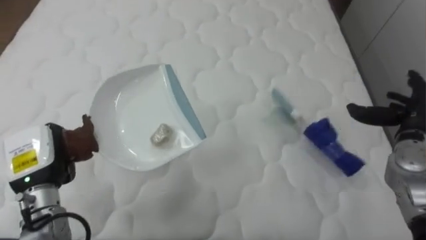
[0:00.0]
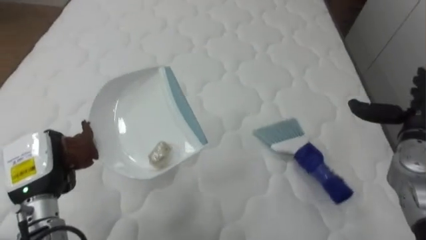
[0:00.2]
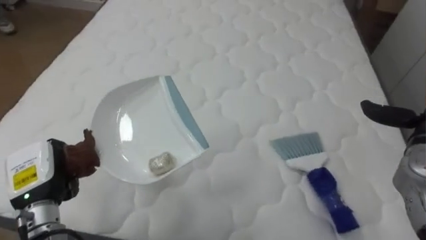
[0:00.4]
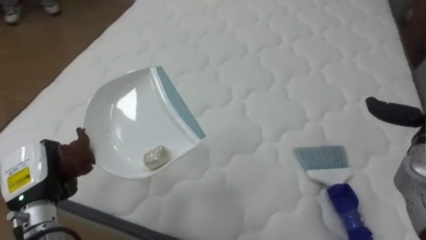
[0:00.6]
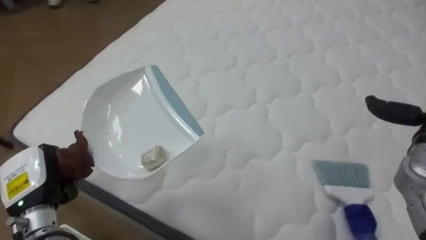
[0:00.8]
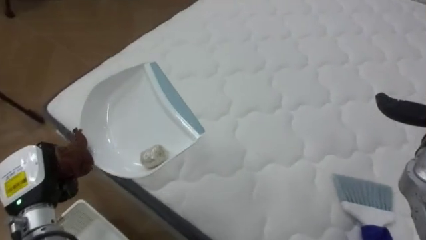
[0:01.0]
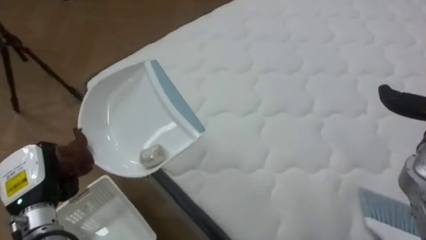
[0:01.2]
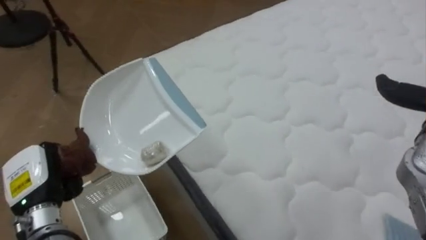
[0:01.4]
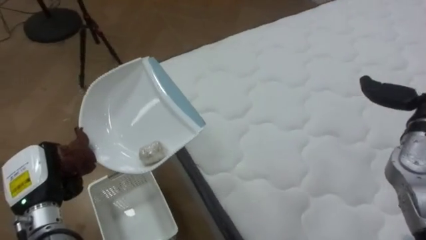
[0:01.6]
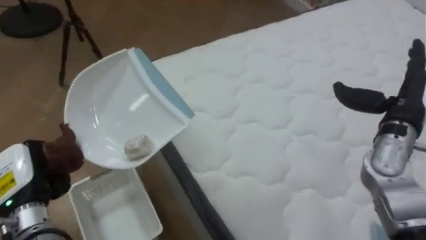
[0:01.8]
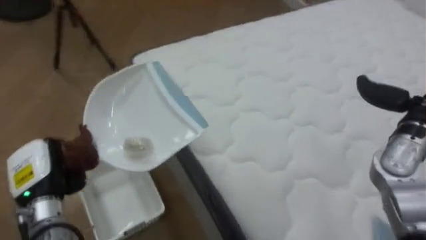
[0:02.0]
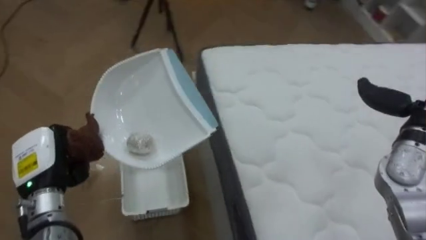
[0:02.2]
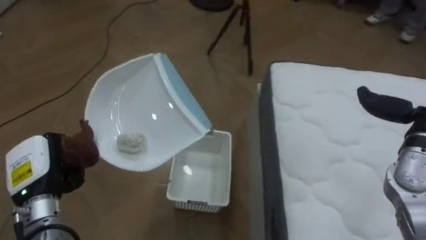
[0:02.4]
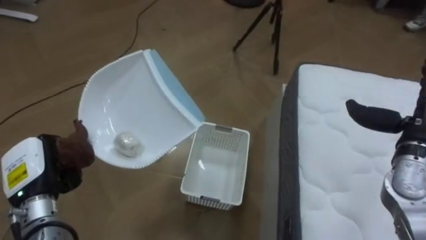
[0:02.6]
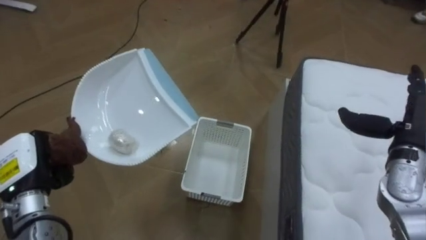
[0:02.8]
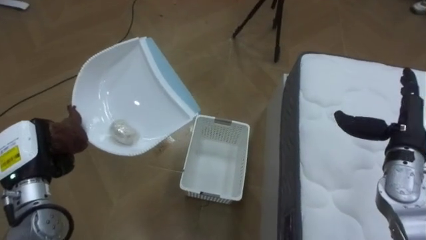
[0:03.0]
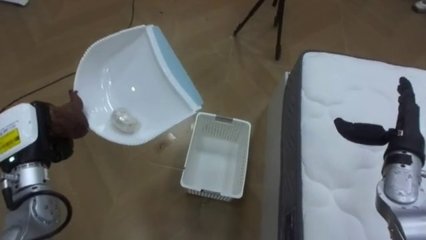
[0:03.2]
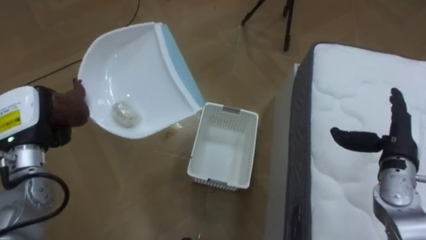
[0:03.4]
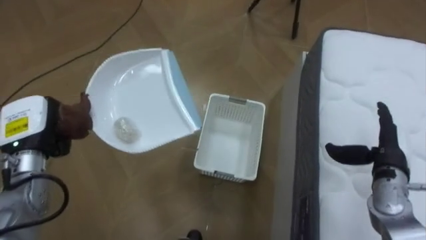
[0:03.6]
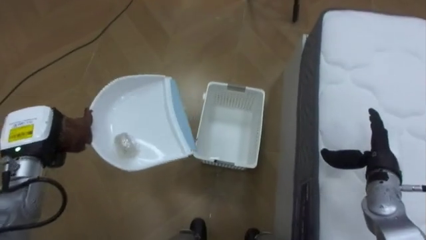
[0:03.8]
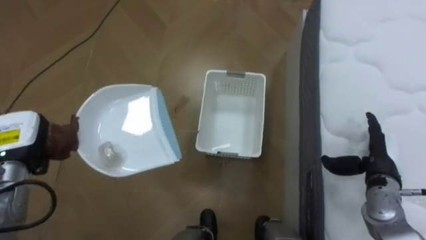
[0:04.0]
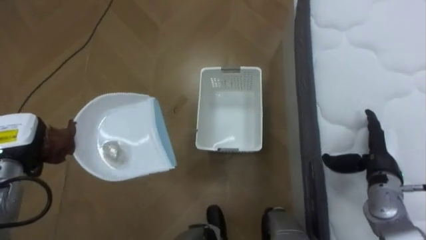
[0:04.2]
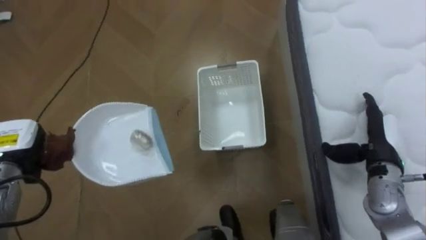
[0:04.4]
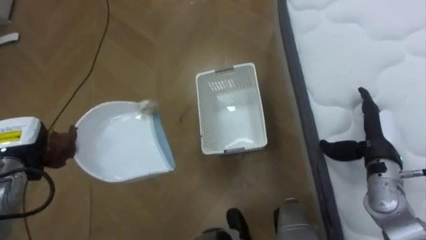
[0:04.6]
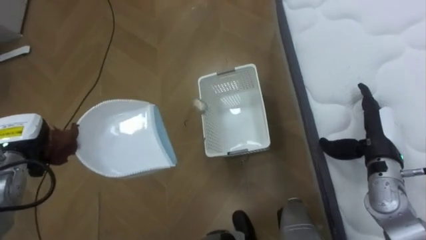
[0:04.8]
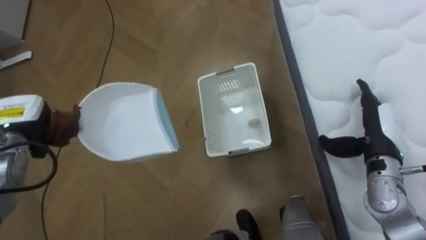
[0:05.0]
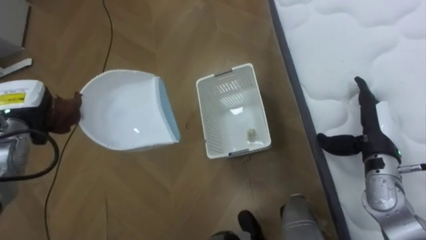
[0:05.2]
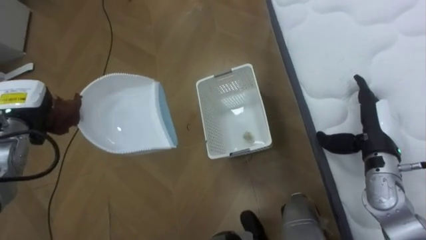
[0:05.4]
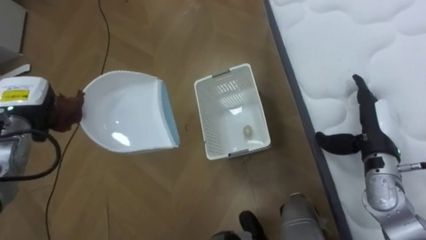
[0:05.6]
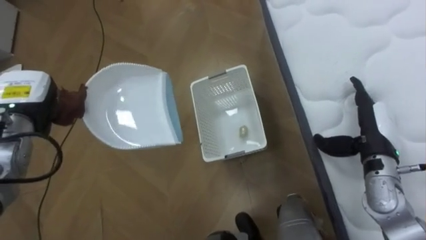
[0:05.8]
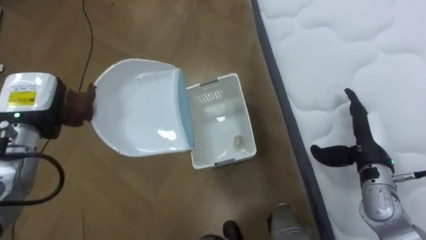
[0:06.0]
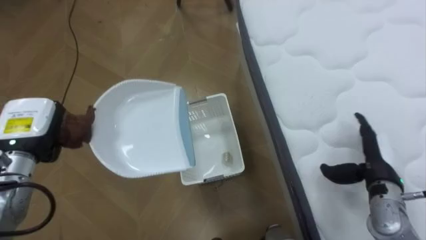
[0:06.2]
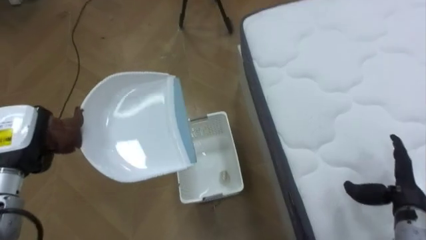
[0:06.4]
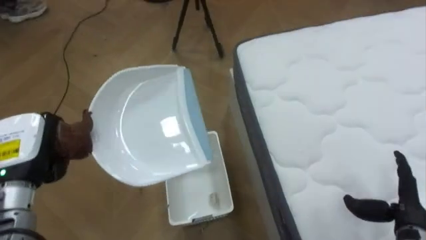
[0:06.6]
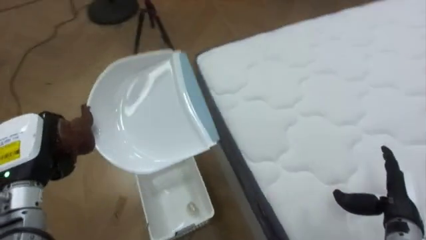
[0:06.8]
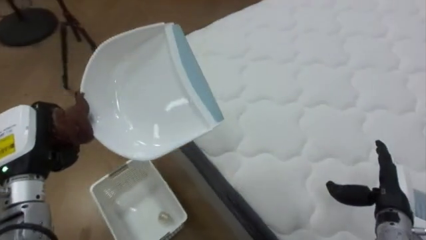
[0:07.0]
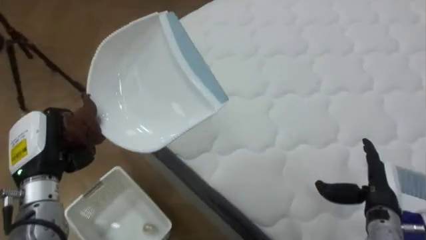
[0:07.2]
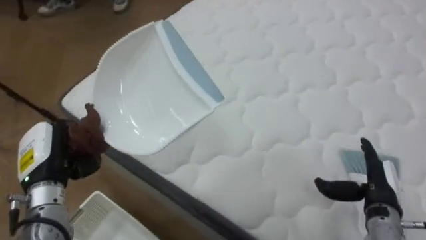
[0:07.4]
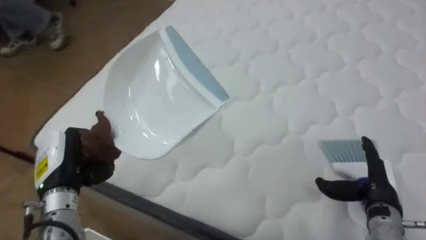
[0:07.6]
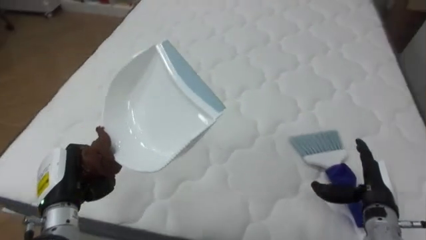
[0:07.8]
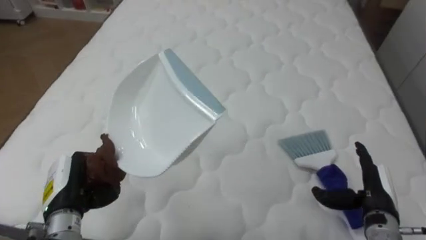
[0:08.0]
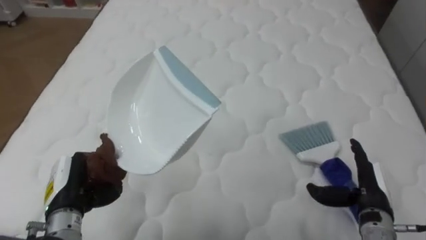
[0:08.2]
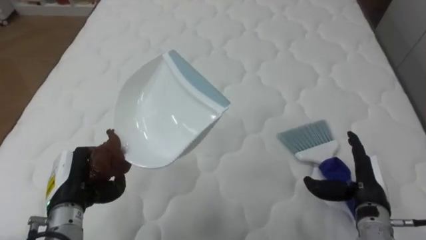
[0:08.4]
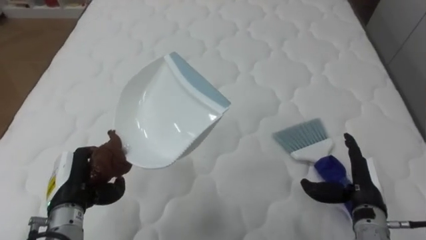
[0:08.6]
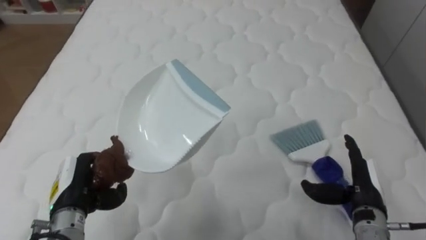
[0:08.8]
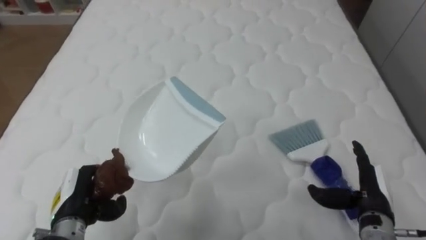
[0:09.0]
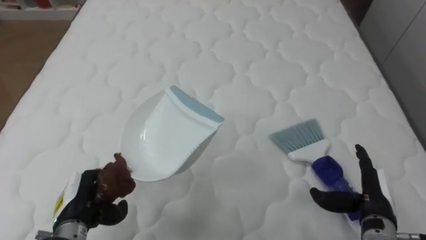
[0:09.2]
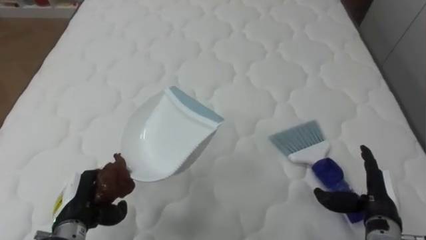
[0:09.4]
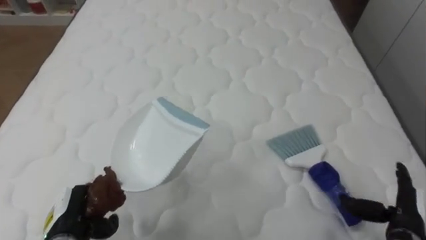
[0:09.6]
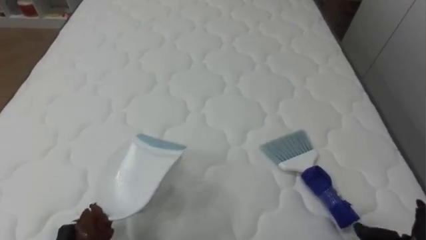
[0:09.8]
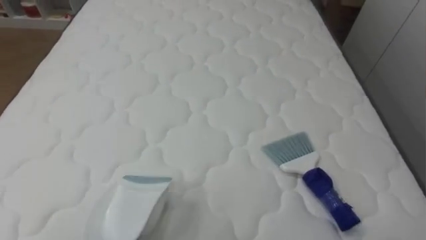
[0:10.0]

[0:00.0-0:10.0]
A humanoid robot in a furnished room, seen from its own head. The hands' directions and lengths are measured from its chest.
Task of the whole recording: Pick up the brush on your right and the dustpan on your left. Use the brush to sweep the crumpled paper on the bed into the dustpan, then turn left and empty it into the basket.
0:00.0 to 0:01.4: The robot faces approximately 50 degrees further to its left.
0:01.4 to 0:02.8: The robot's body swings roughly 50 degrees to its left.
0:02.8 to 0:04.2: The left hand moves forward, about 5 cm. Meanwhile the right hand goes approximately 10 cm downward.
0:04.2 to 0:05.8: The left hand travels forward and upward by some 10 cm. The right hand moves approximately 5 cm.
0:05.8 to 0:07.2: The robot's body swings some 60 degrees to its right. The right hand moves backward and downward, some 10 cm. The left hand shifts roughly 10 cm backward.
0:07.2 to 0:08.6: The robot's body swings approximately 35 degrees to its right. The left hand travels downward by roughly 5 cm.

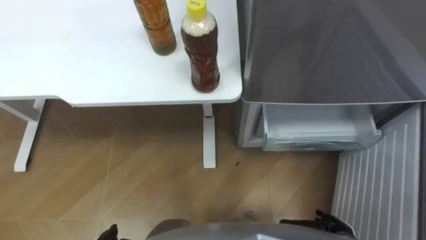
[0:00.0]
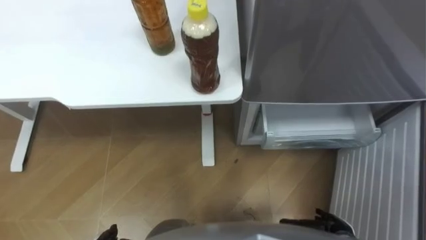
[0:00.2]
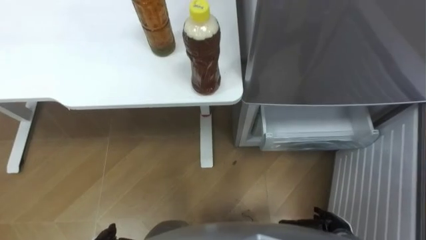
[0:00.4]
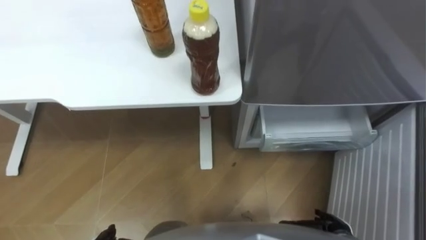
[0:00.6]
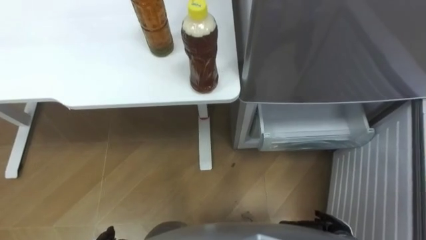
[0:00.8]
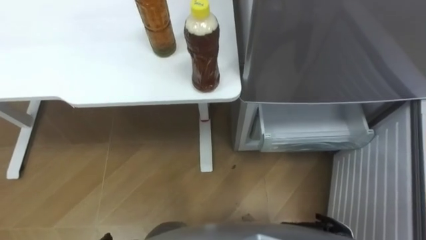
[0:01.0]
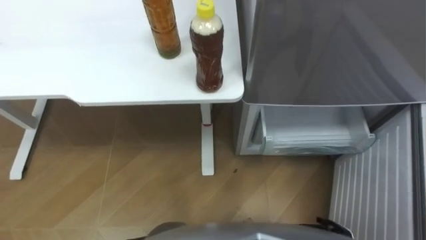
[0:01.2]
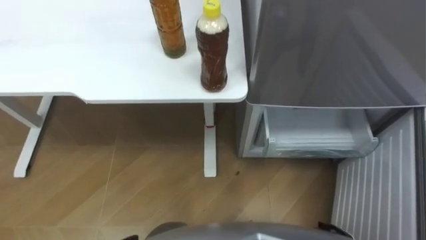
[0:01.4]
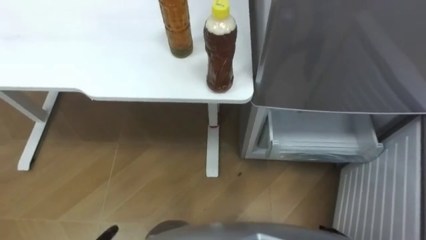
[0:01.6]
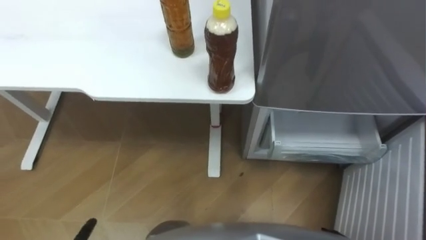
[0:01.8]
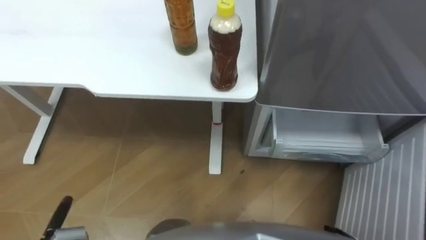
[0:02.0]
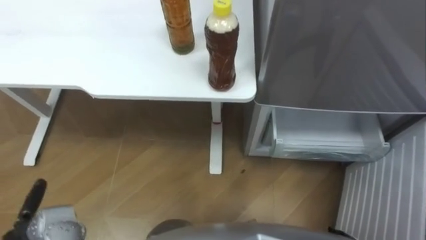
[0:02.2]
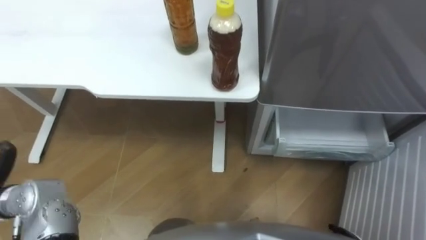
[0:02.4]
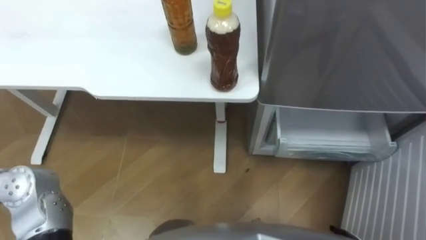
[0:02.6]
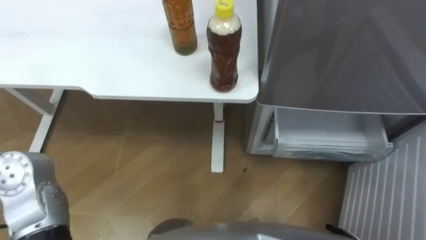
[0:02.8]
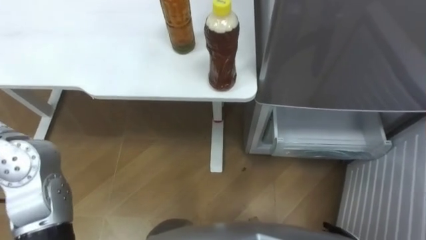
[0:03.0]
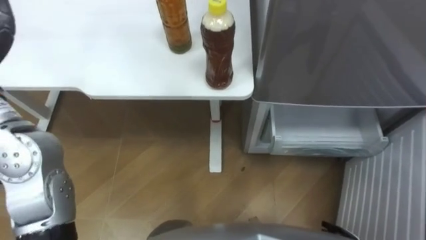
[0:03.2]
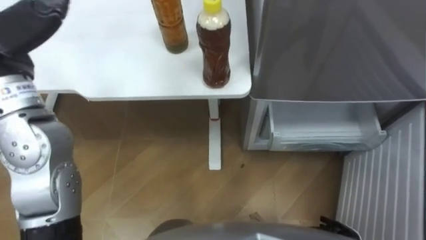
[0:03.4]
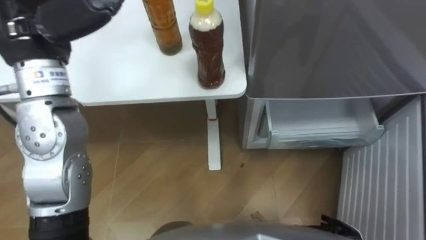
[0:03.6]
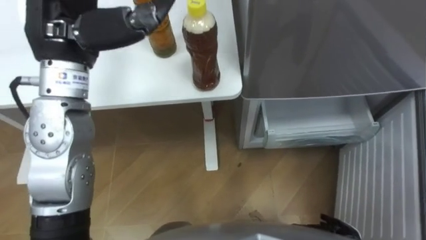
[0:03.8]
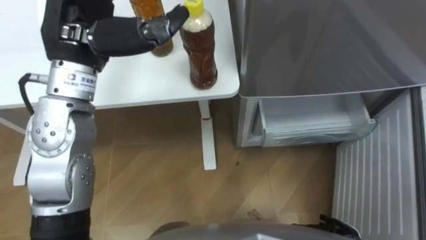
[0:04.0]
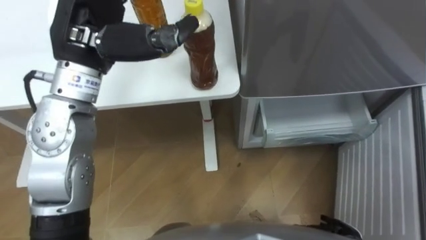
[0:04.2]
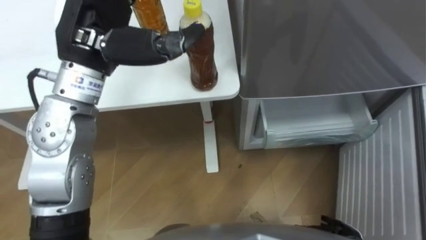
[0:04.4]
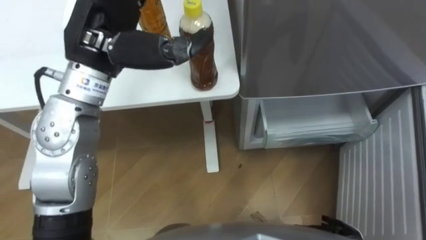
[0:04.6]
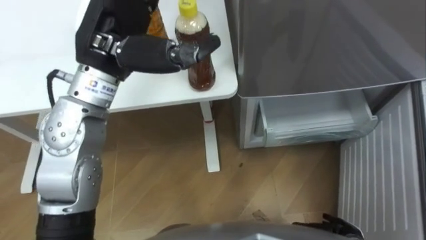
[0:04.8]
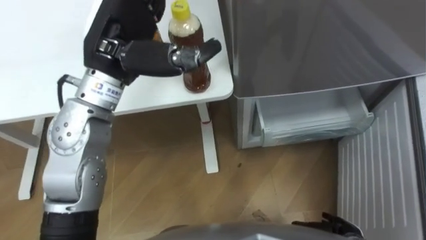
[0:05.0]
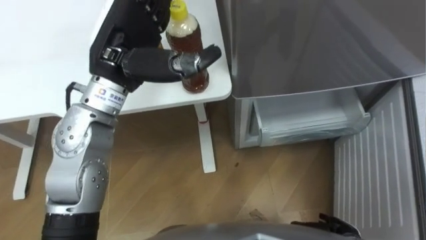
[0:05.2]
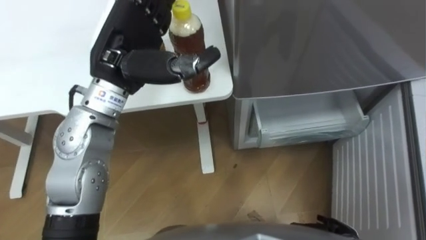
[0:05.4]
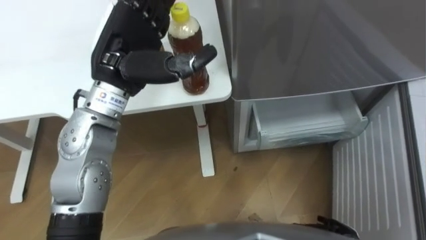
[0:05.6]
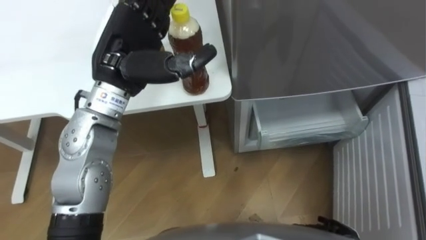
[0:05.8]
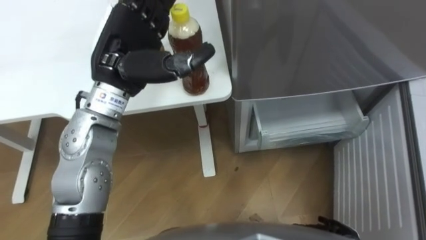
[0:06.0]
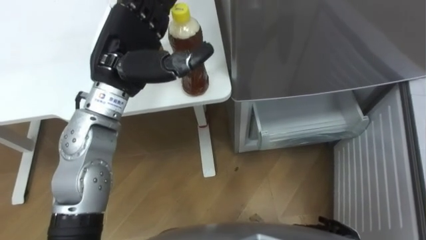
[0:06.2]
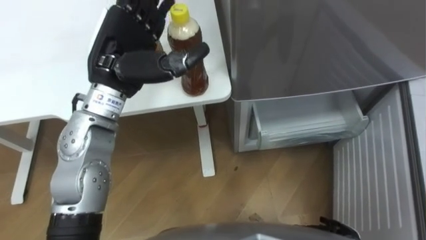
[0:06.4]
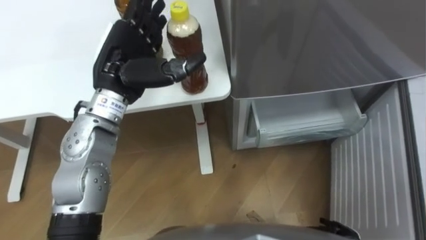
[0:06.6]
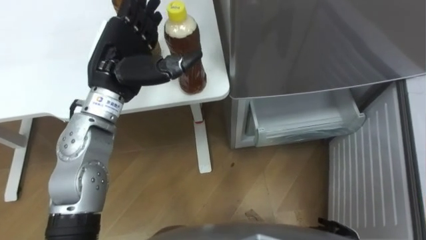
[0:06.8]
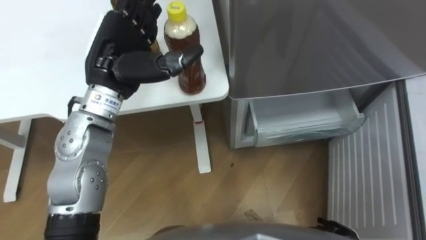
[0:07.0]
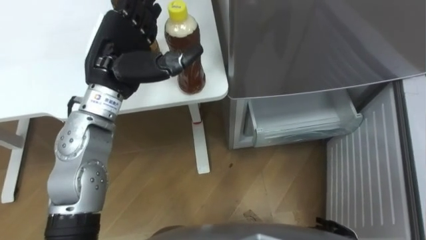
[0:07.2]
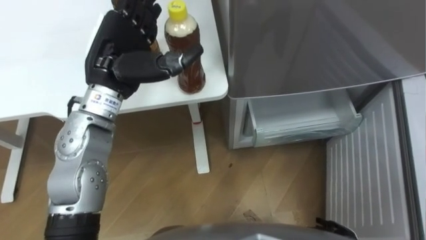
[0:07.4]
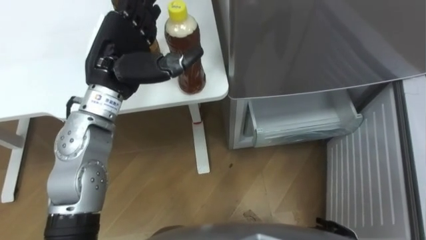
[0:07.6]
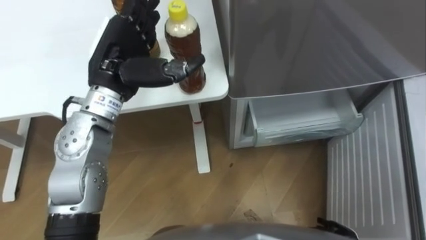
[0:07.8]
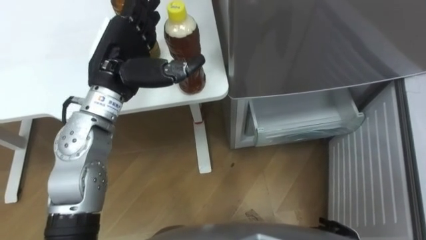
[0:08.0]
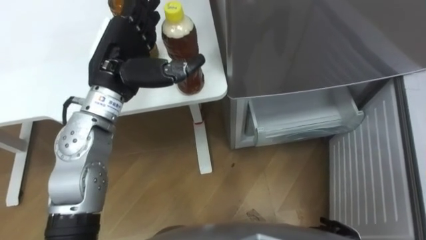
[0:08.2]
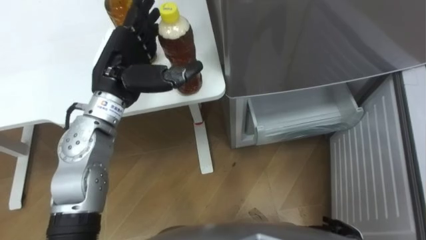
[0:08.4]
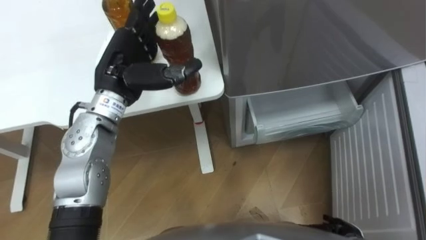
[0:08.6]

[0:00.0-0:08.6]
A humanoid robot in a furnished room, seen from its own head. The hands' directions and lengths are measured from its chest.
Task of the whole recording: Place the drink on the table on the bottom shelf of the refrigerator, then close the drawer and the refrigerator door.
0:04.4 to 0:05.8: The left hand goes roughly 5 cm downward.
